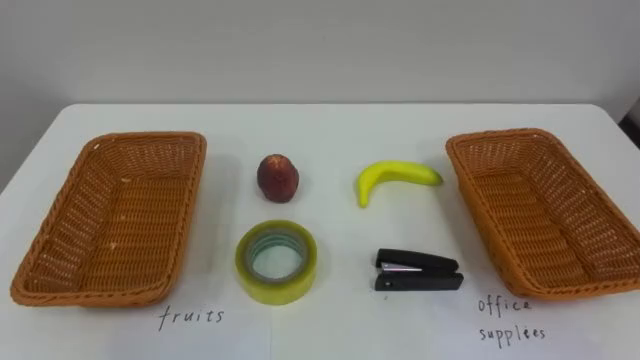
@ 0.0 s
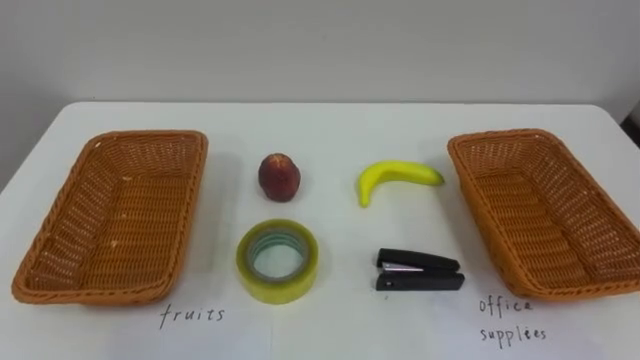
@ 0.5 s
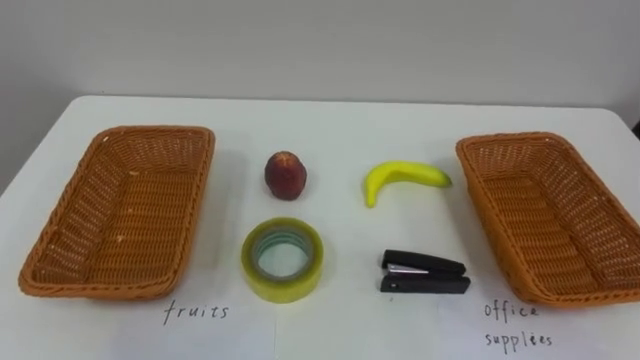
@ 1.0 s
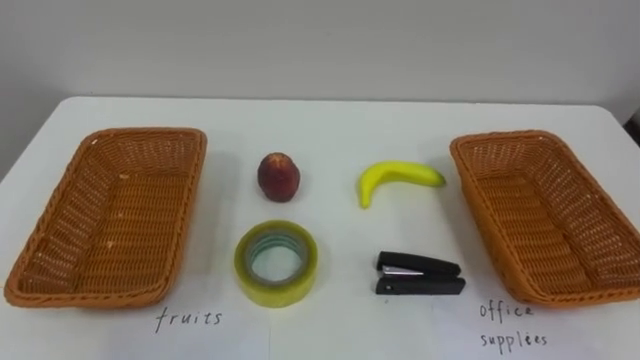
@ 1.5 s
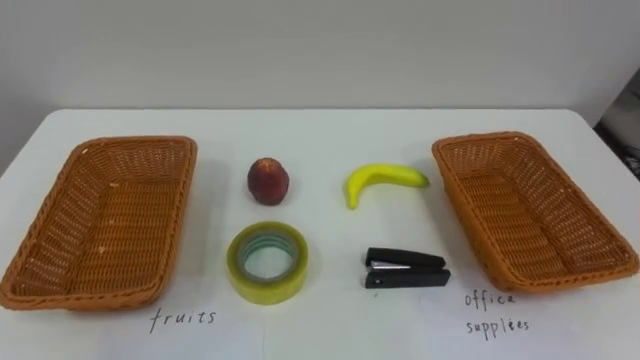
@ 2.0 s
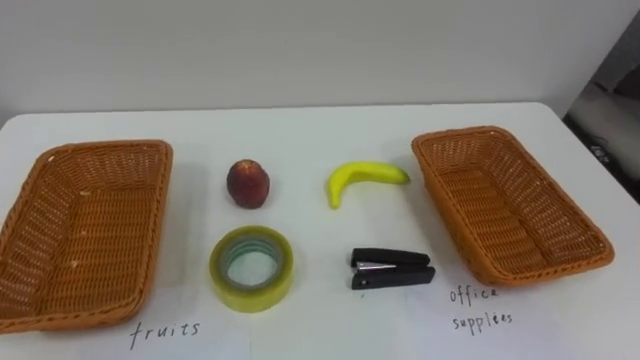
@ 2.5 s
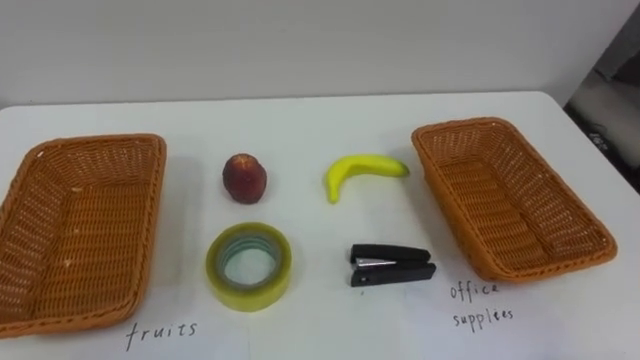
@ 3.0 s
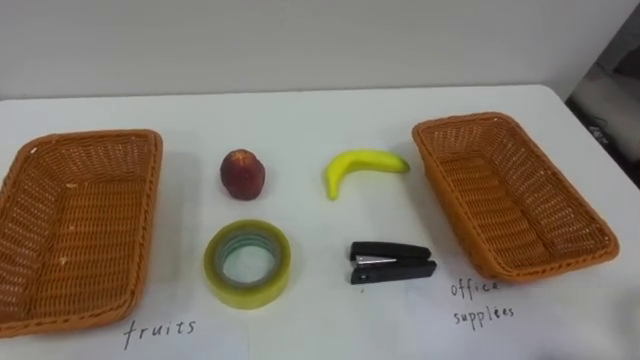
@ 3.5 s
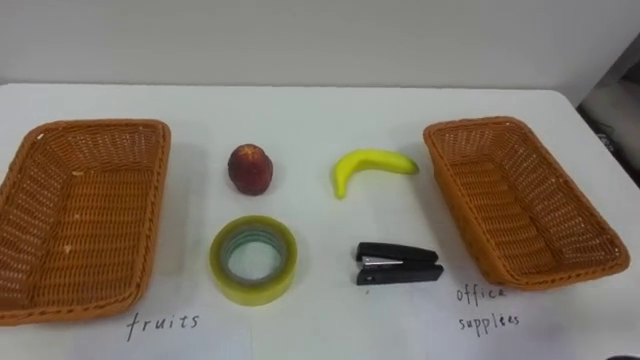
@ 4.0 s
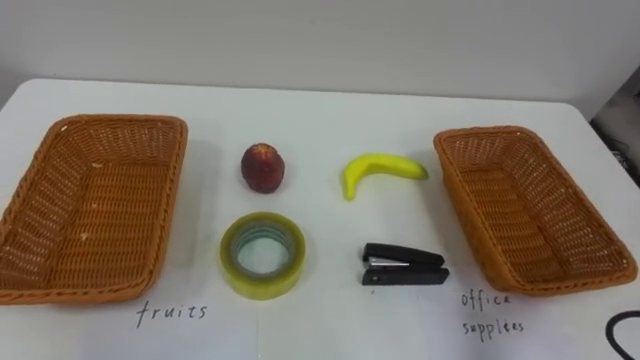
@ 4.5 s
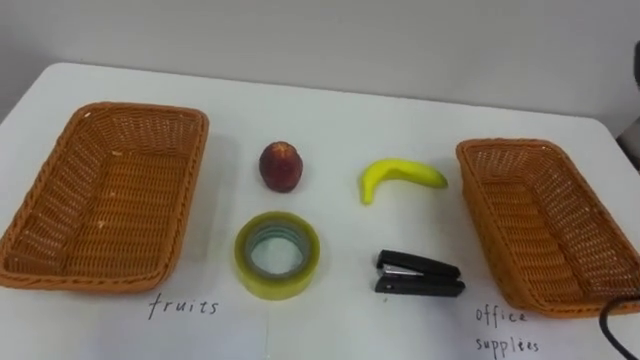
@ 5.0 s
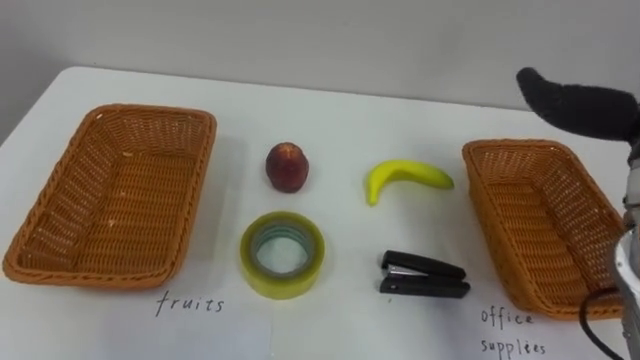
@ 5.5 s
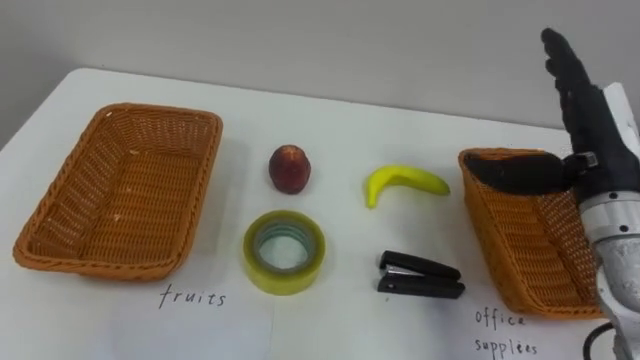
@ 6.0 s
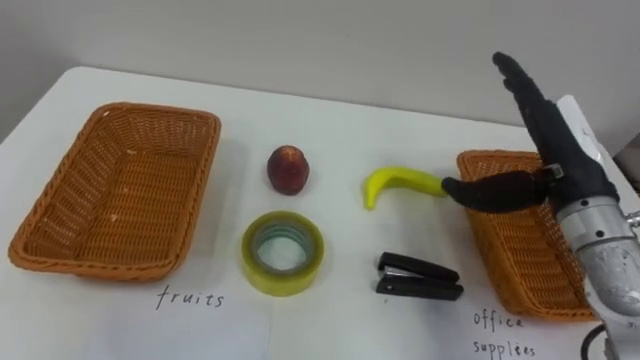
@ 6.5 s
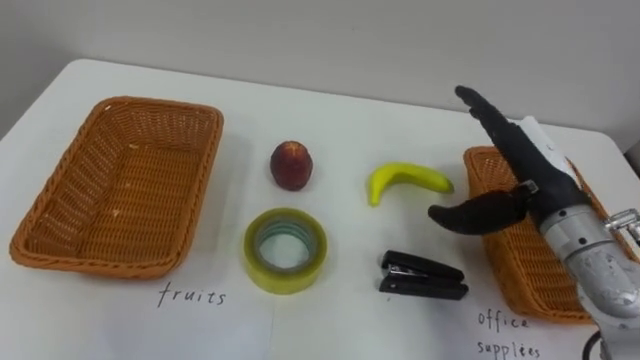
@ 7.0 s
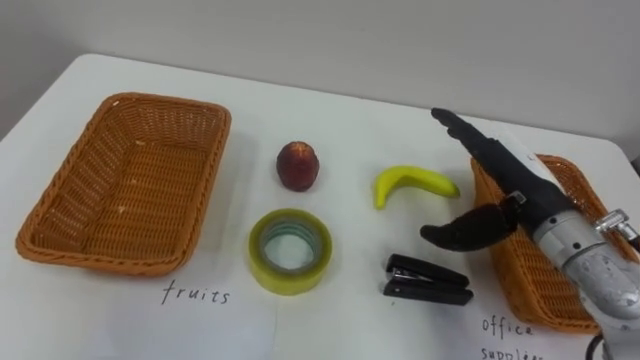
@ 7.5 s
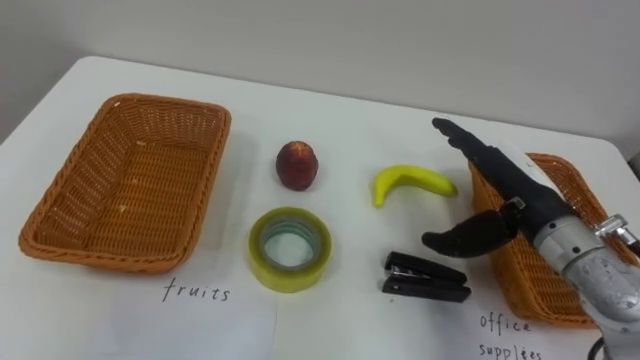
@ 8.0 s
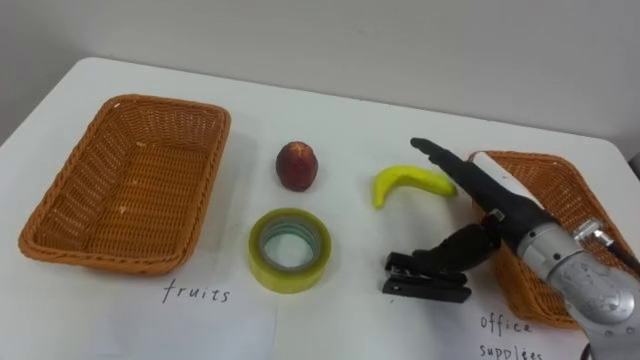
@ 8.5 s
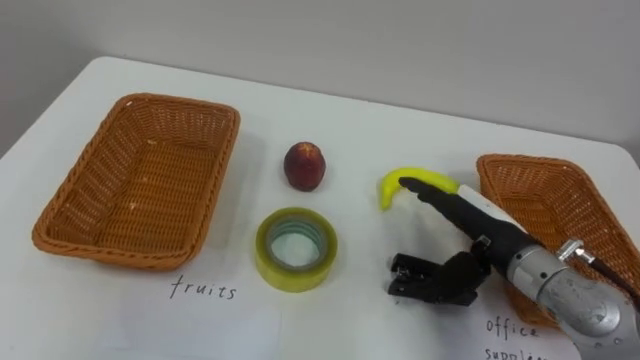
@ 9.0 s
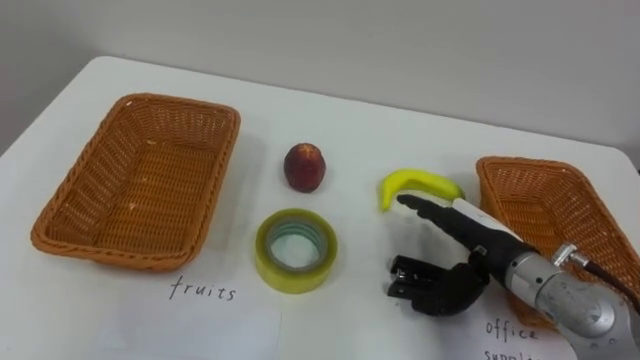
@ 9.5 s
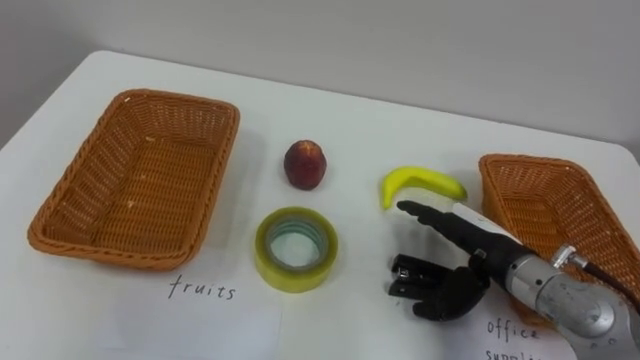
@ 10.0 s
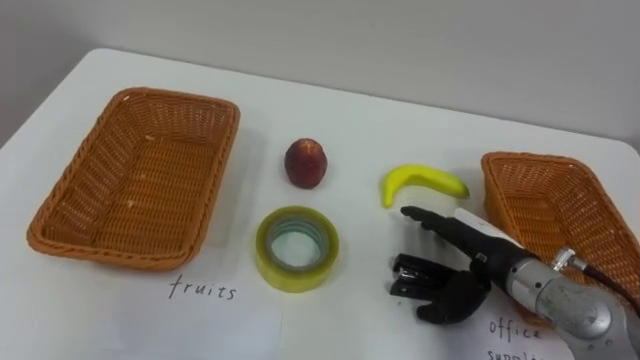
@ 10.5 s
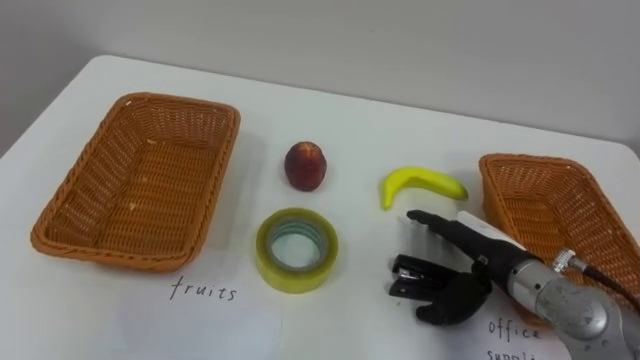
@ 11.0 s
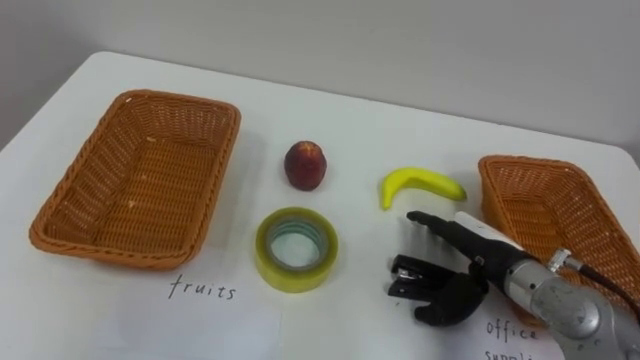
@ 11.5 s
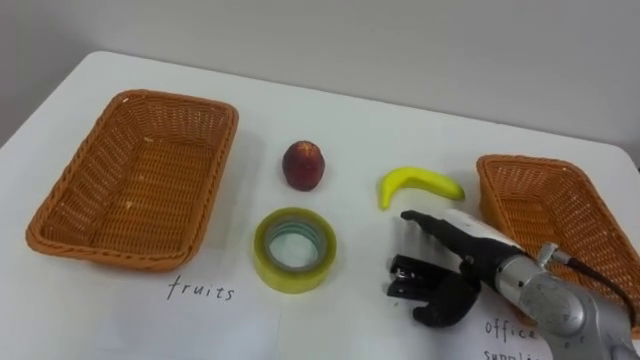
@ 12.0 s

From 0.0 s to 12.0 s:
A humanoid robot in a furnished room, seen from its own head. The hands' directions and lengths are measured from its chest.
Task of the whole recording: Separate the items on the table and place them into the two baskets.
From 6.0 s to 8.0 s: The right hand travels downward and to the left by about 10 cm.
From 8.0 s to 10.0 s: The right hand travels downward by some 5 cm.

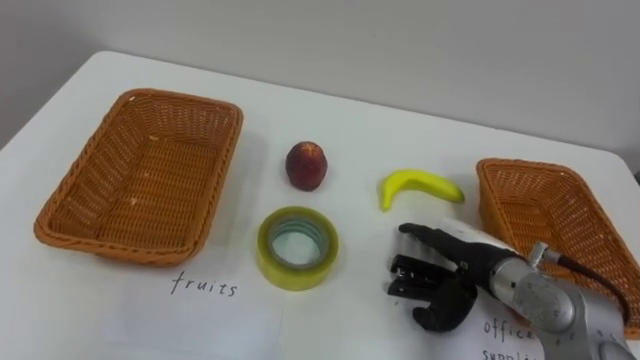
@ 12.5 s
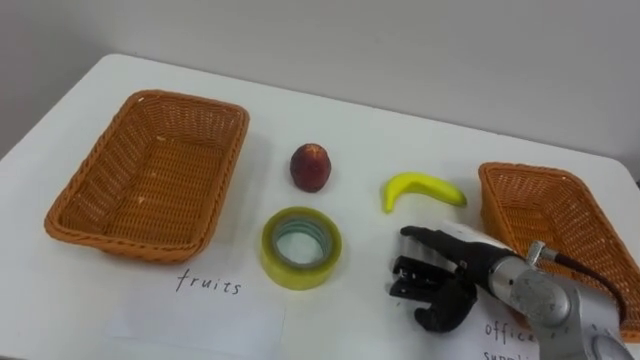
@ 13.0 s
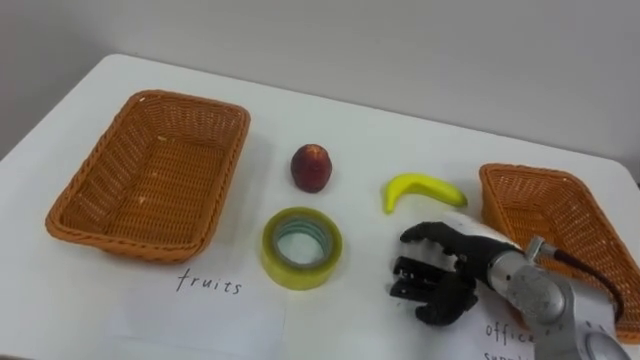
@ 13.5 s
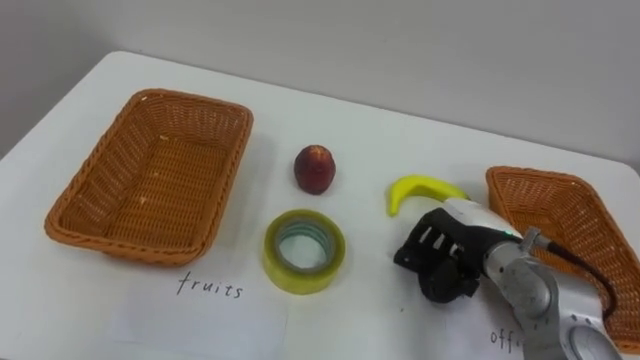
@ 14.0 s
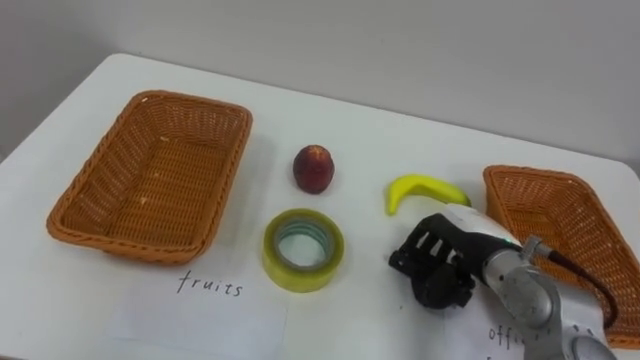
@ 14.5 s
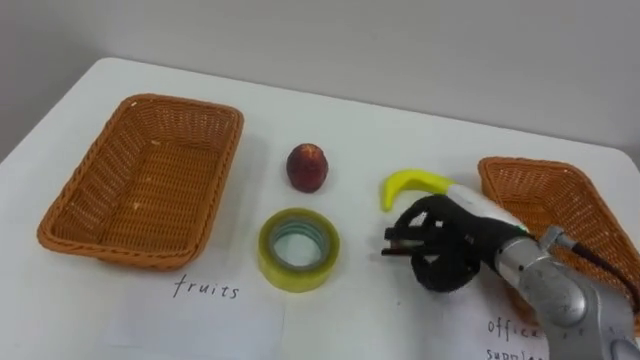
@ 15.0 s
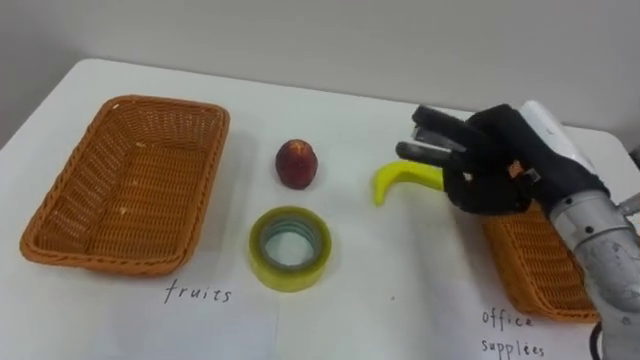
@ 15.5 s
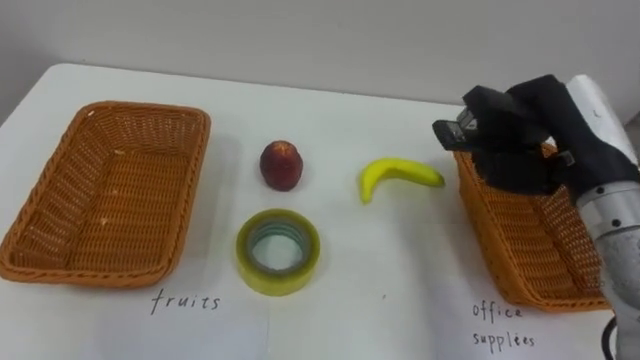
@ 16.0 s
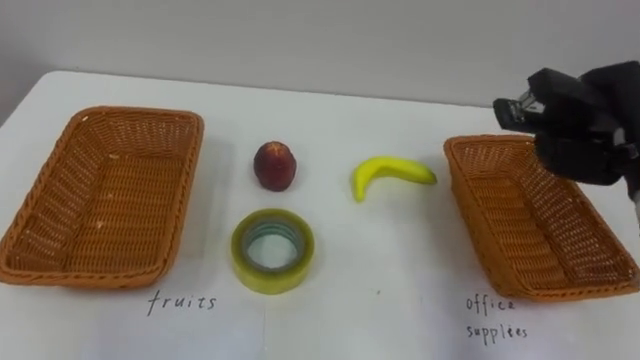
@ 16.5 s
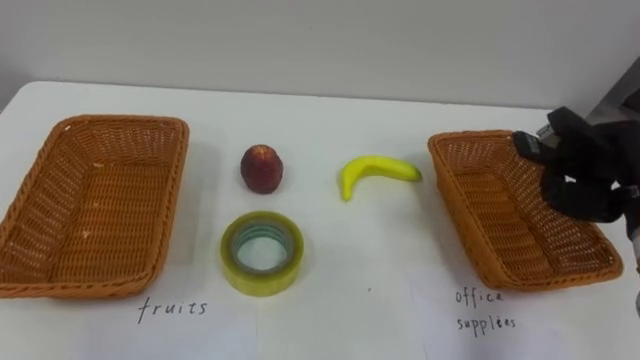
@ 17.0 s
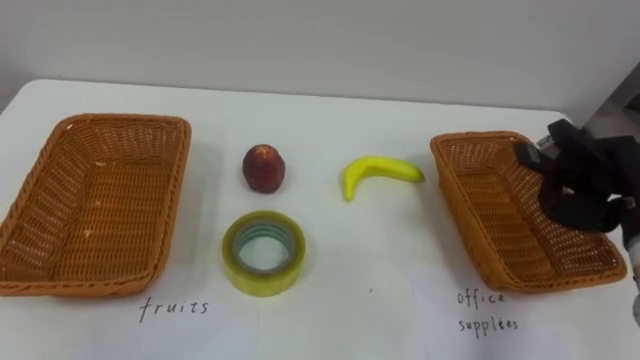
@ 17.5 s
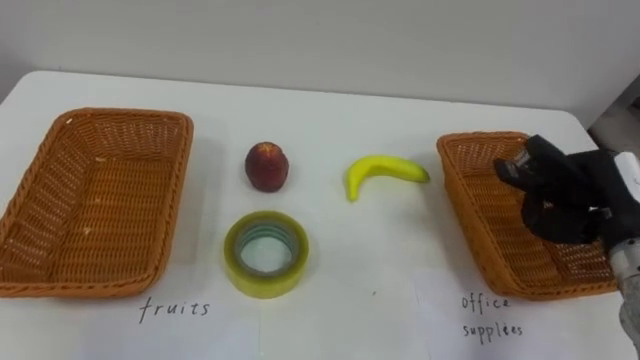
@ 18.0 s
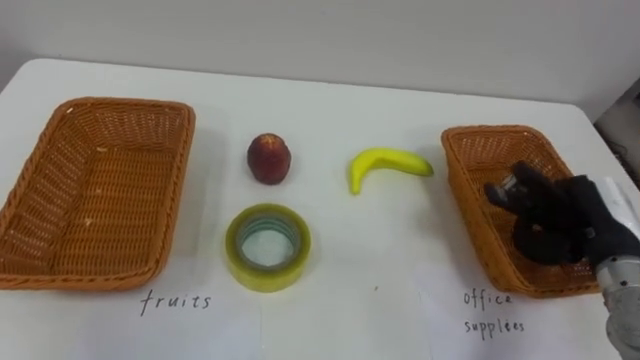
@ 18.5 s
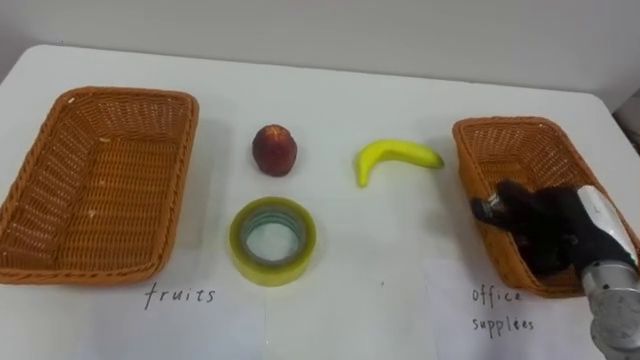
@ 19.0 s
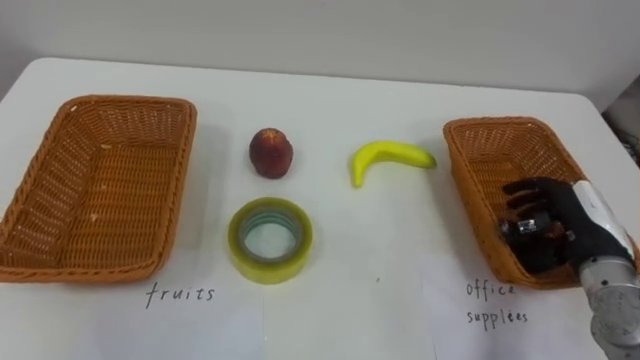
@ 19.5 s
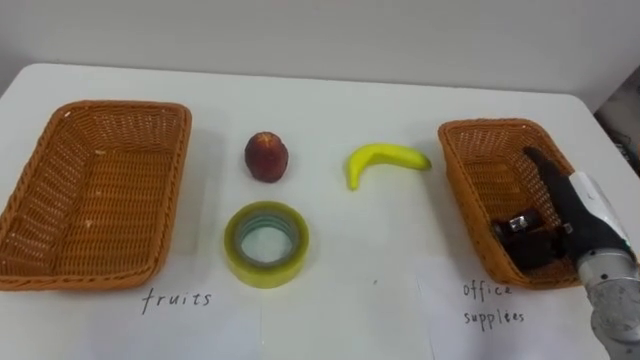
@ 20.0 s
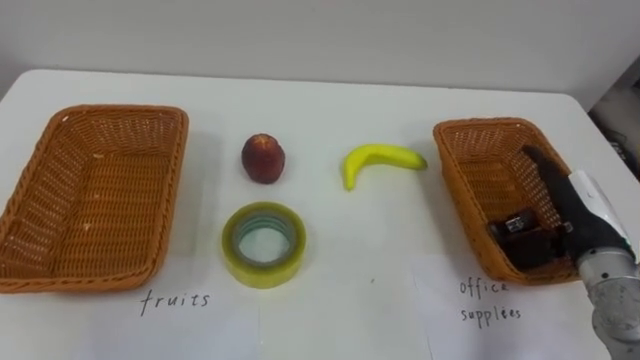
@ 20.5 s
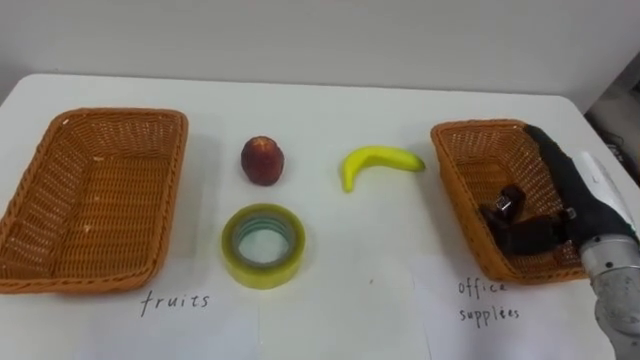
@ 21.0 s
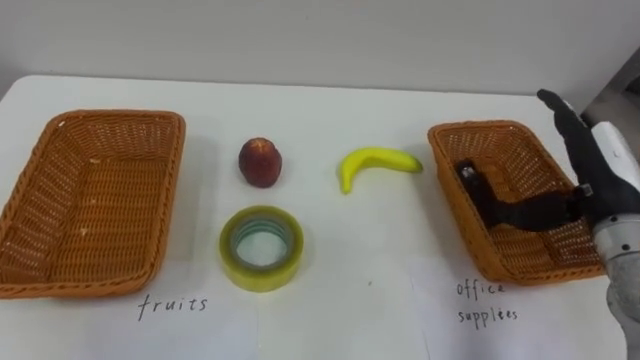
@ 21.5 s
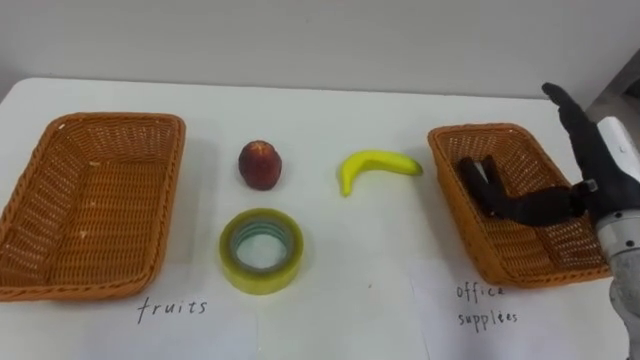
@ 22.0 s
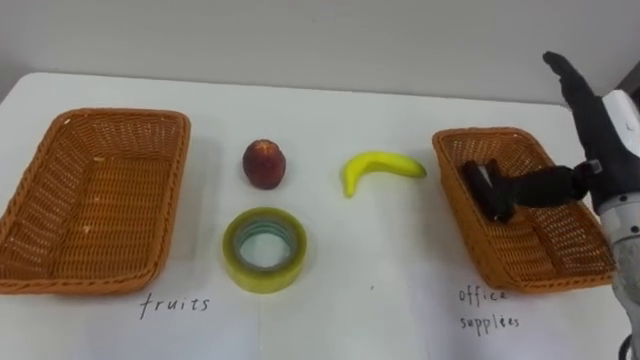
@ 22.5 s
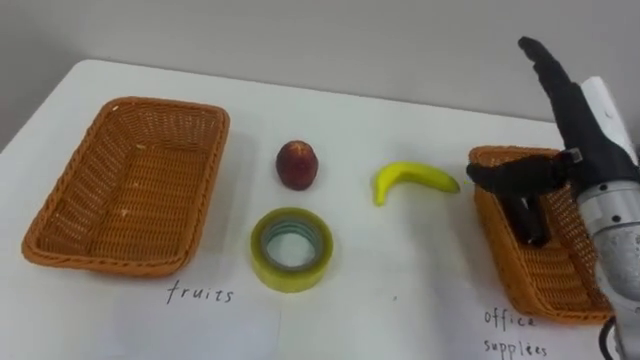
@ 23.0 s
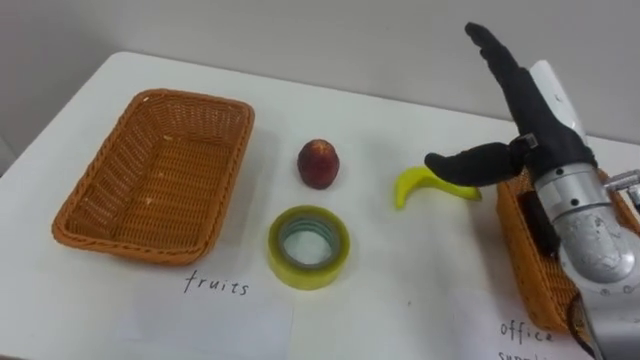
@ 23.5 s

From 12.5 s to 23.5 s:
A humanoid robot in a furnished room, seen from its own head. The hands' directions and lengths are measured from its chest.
Task of the whole recording: Separate the items on the table and place them into the two baskets.
From 12.5 s to 14.5 s: The right hand closes up.
From 14.5 s to 16.0 s: The right hand shifts approximately 15 cm upward and to the right, and closes.
From 18.0 s to 20.0 s: The right hand opens.
From 20.0 s to 21.5 s: The right hand goes about 5 cm upward.
From 21.5 s to 23.5 s: The right hand is displaced to the left and upward by approximately 10 cm.
